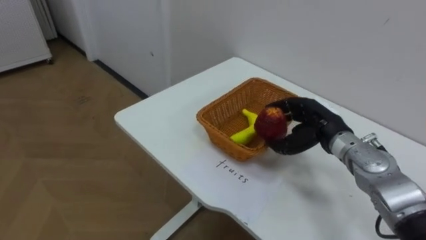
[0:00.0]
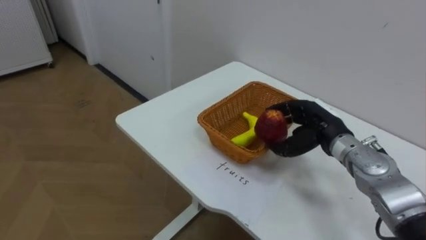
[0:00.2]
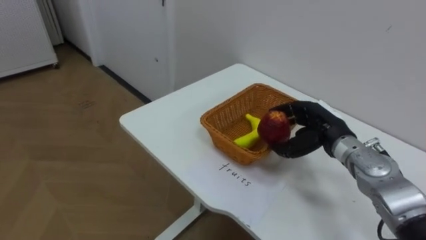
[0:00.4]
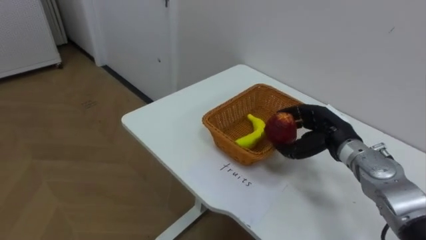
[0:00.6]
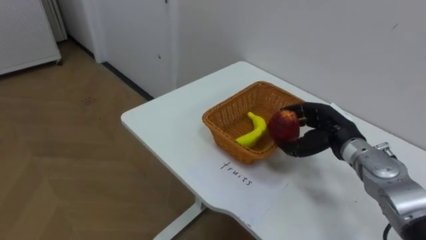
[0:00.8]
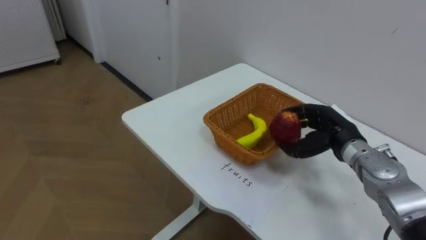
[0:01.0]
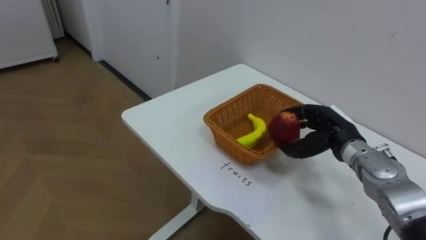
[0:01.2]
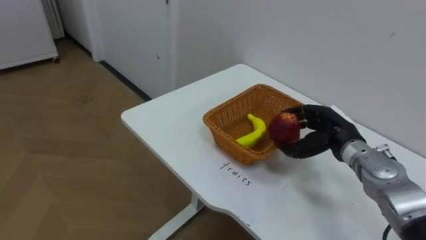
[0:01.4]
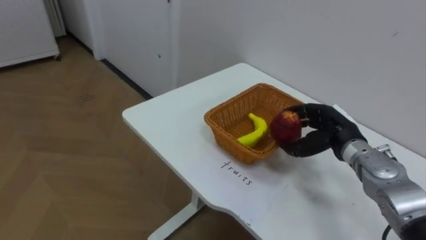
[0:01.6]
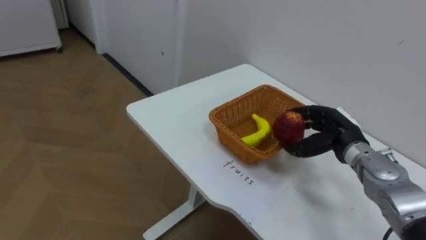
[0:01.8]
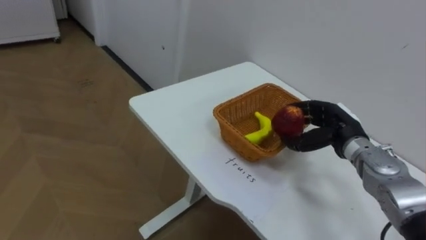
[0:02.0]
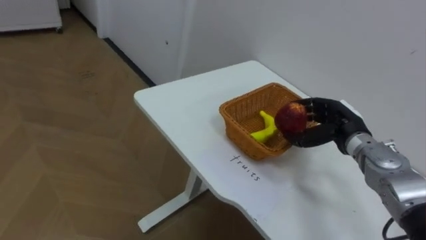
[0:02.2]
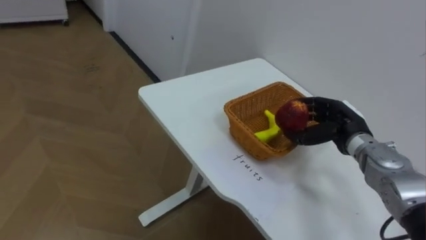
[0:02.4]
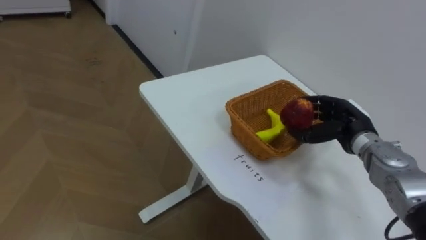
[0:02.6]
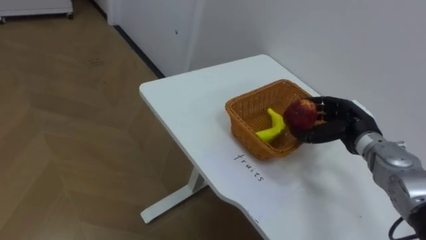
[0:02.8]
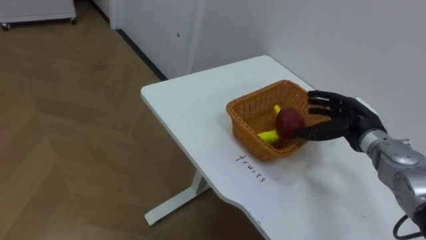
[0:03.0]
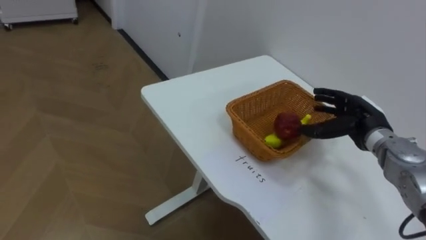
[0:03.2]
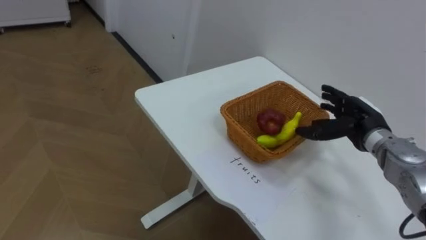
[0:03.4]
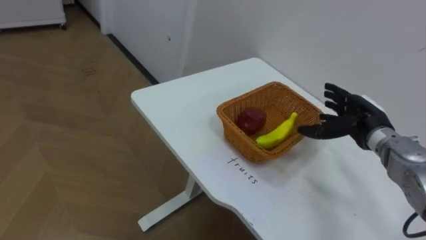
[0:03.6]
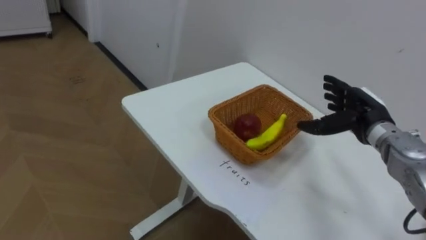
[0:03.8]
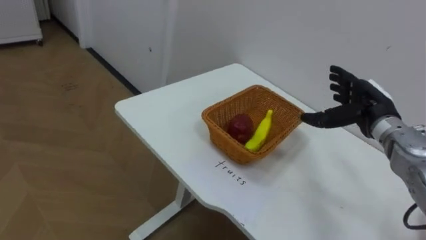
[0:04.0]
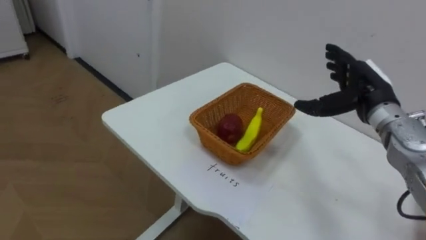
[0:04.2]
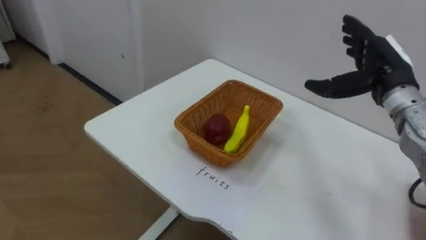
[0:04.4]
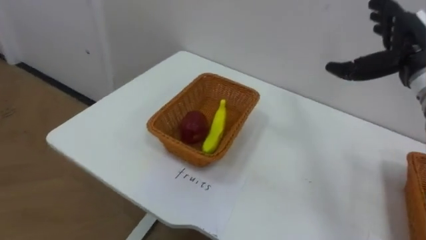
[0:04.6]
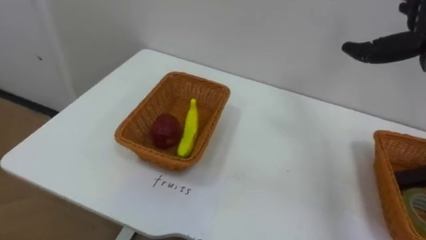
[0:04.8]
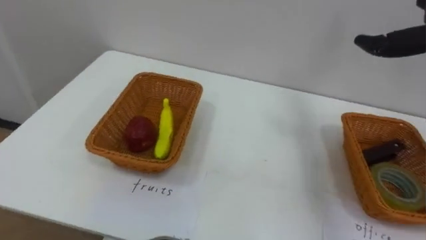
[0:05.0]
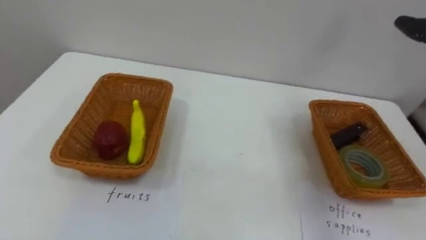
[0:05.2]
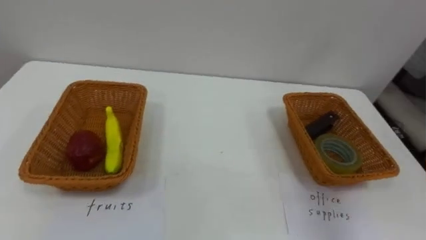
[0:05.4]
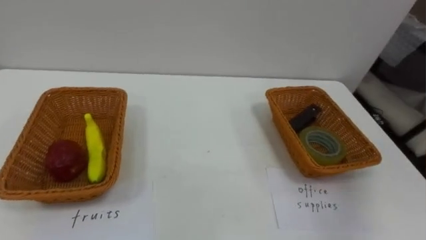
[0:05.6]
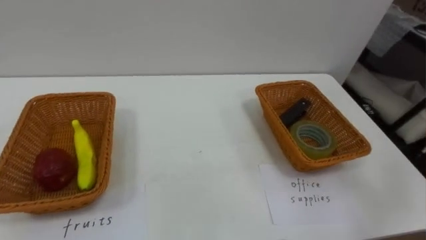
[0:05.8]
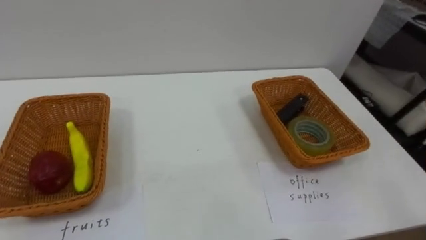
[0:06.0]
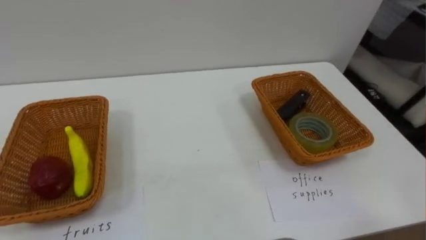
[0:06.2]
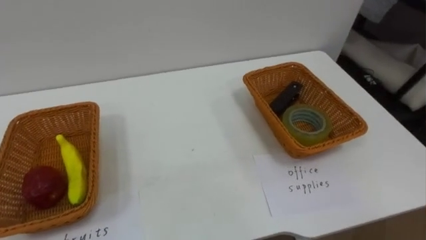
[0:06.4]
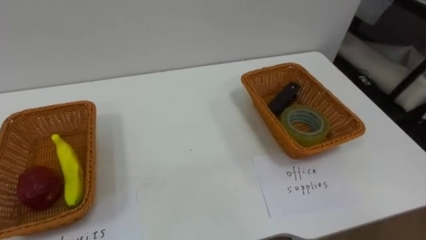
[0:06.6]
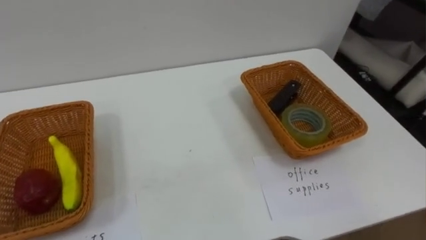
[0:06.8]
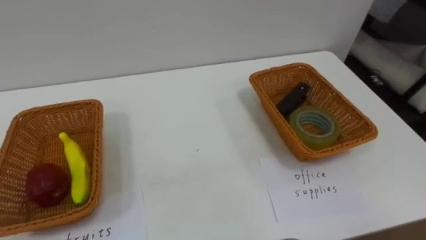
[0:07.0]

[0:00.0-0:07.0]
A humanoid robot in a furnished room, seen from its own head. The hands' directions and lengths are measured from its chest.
Task of the whole recording: Separate the items on the table and place them into the two baskets.
0:02.8 to 0:04.2: The right hand goes some 10 cm upward, and opens up.

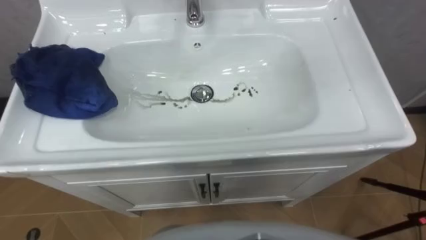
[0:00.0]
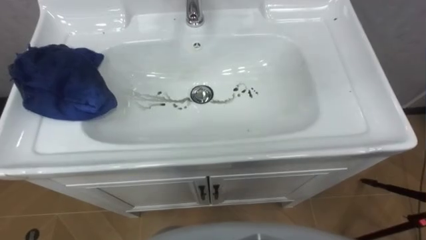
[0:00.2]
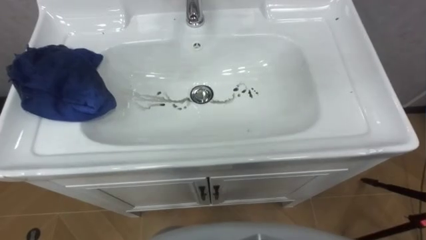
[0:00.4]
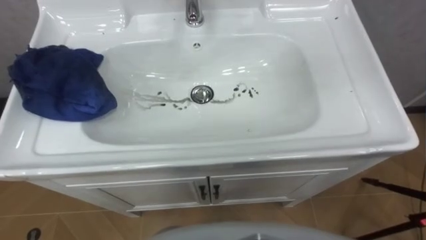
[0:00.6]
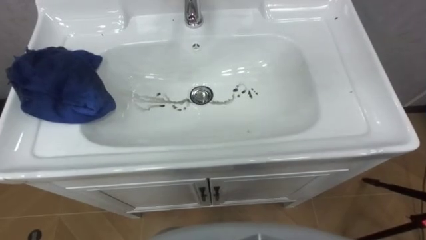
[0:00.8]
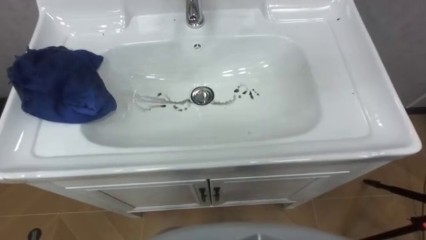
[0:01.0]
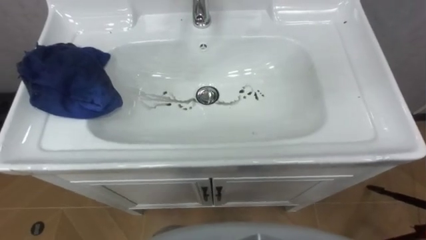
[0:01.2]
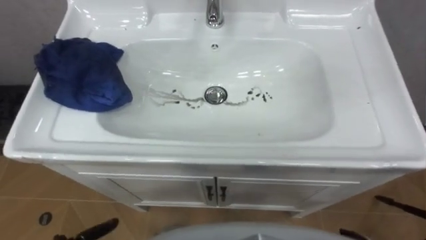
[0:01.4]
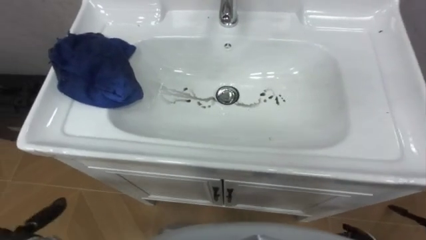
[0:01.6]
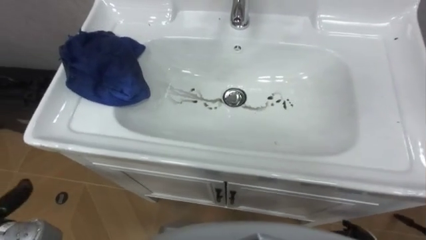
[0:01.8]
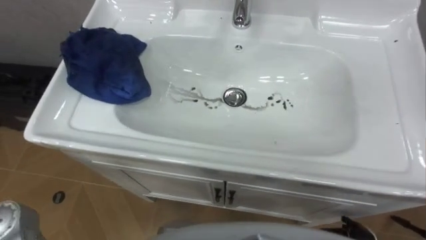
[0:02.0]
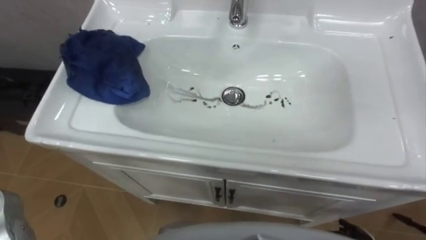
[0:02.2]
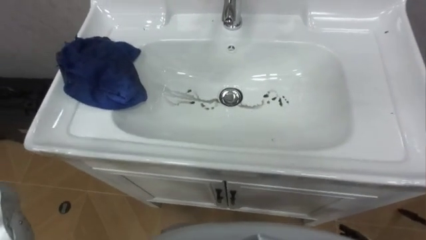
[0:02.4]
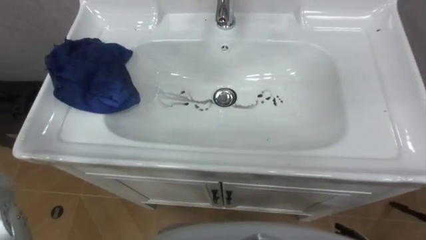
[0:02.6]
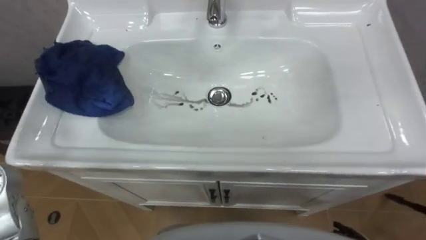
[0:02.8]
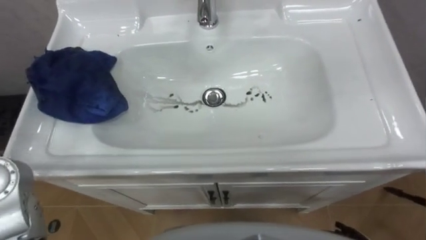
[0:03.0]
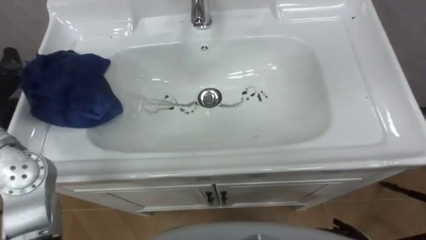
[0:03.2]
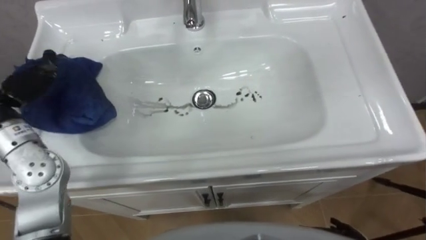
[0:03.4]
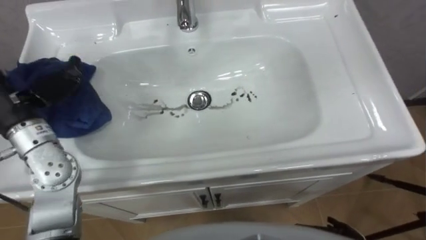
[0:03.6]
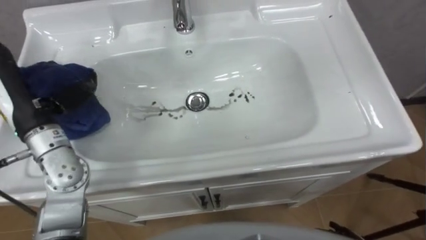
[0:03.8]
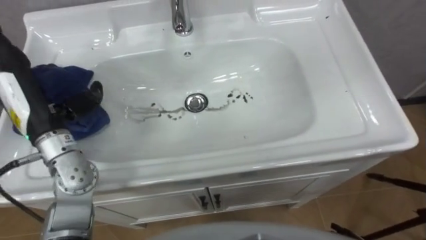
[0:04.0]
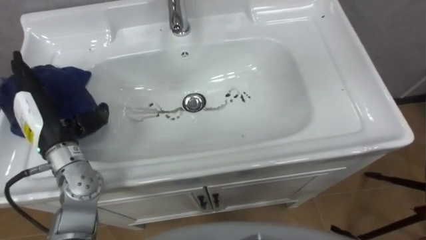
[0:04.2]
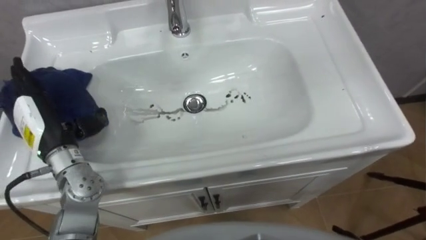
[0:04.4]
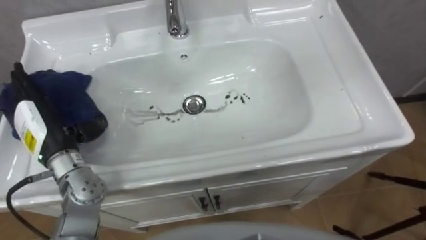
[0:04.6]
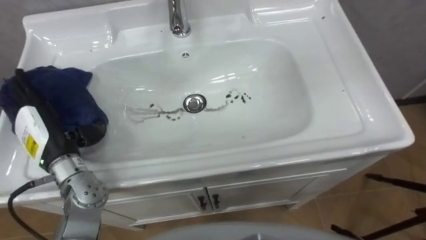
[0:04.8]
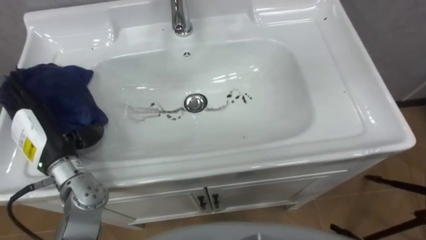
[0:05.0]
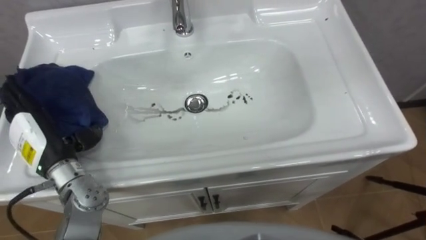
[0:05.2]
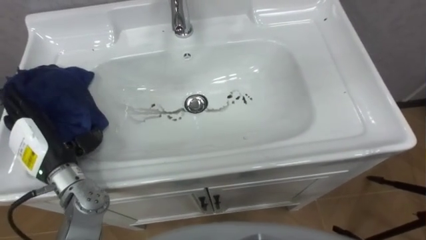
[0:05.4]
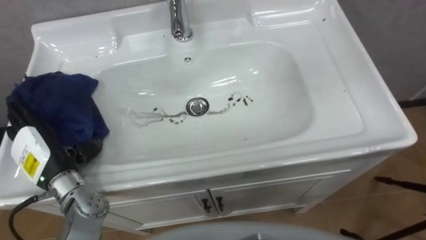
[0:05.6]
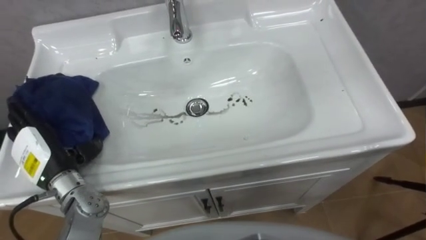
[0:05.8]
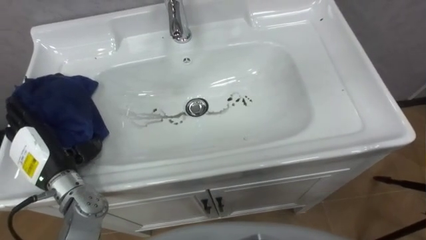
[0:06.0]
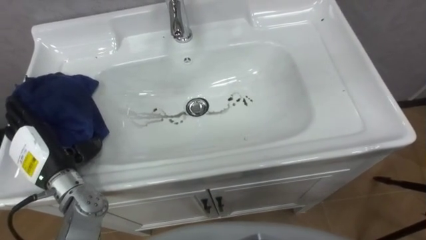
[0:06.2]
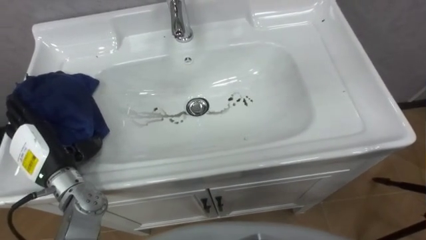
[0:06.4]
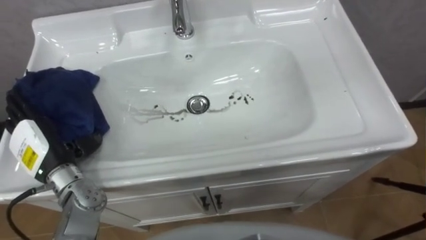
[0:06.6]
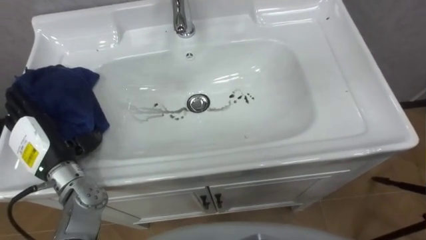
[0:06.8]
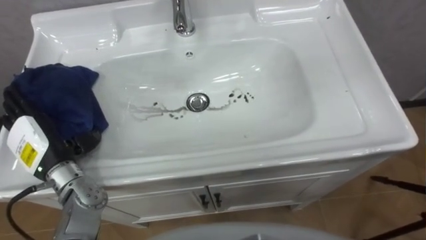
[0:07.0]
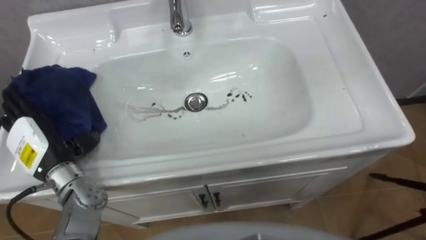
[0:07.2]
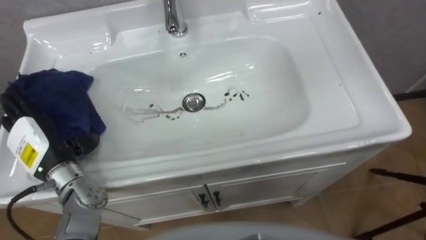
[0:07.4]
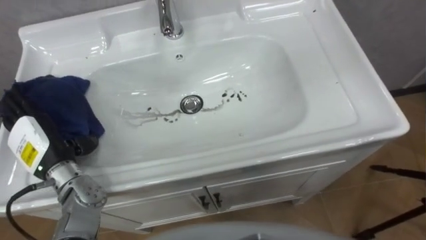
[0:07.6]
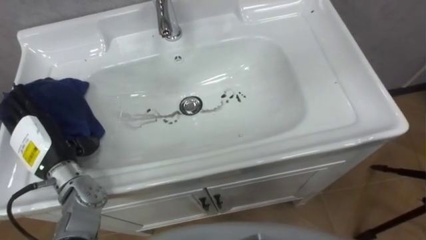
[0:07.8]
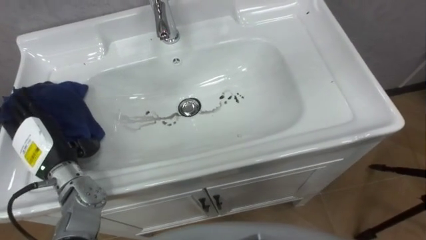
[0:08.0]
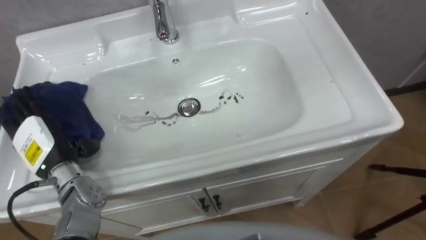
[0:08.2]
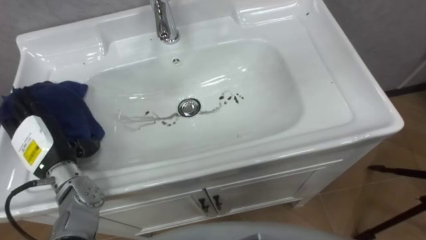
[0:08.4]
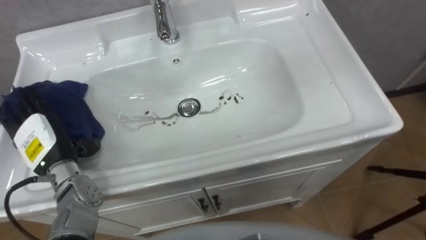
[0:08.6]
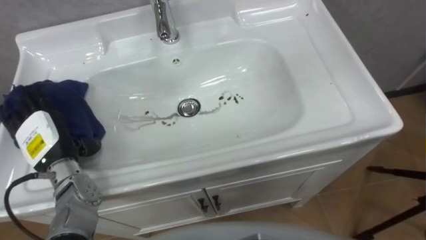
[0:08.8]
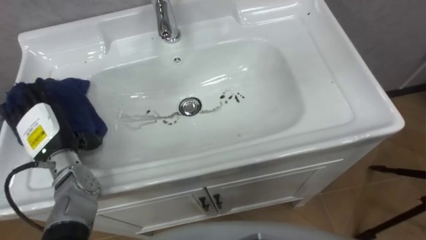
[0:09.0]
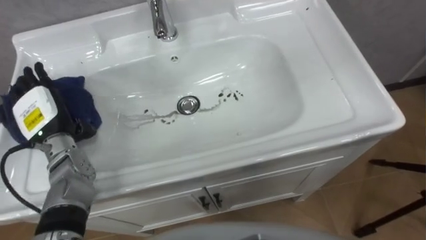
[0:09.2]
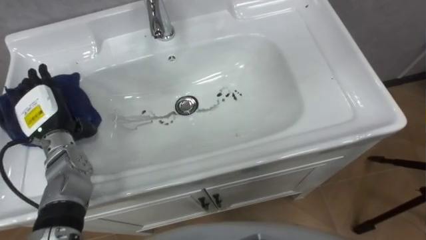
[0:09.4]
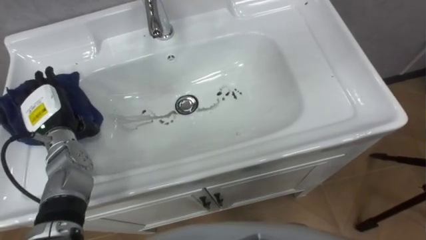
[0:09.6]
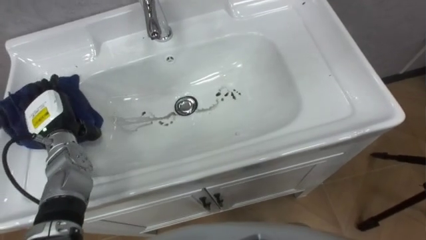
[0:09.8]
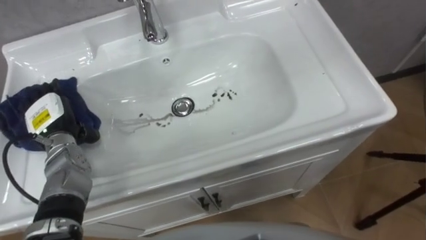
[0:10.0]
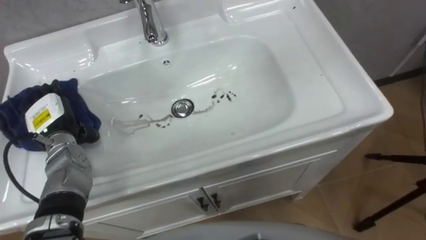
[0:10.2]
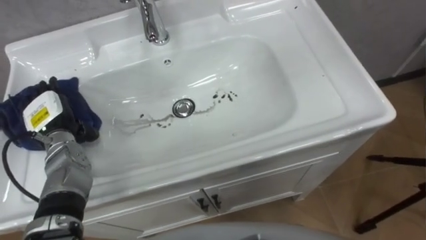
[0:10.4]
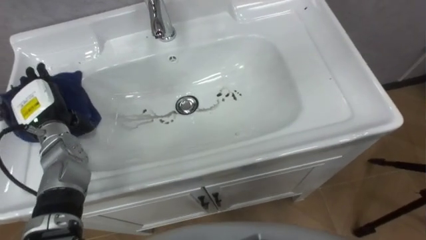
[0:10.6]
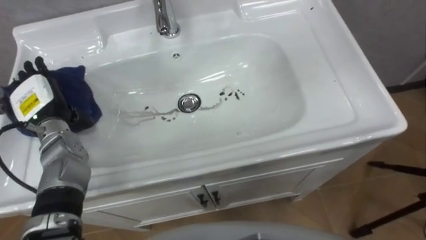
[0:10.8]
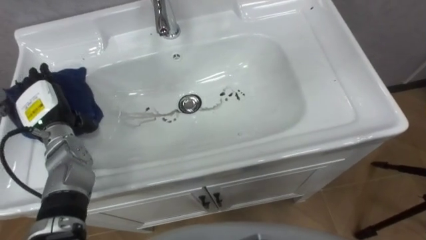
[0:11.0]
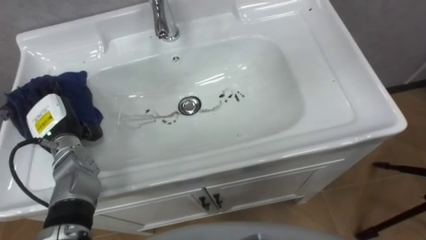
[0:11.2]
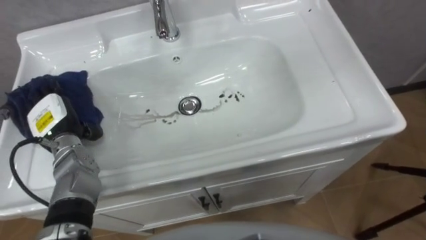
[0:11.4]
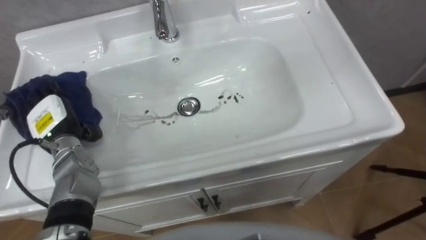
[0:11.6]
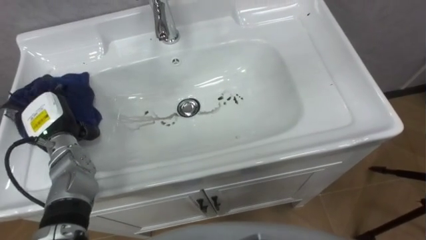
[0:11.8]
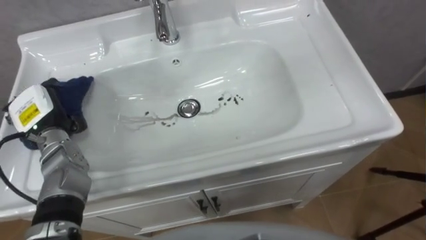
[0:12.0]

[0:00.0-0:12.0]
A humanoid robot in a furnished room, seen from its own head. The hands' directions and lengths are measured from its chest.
Task of the whole recording: Use the cloth on the right to wipe away the black stain in the sink.
0:04.4 to 0:06.0: The left hand ends up roughly 5 cm from where it was.
0:10.4 to 0:12.0: The left hand closes.
